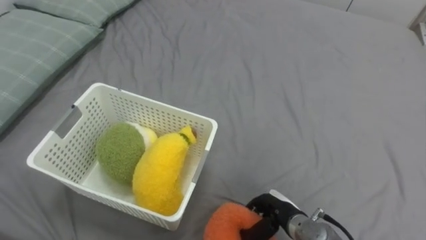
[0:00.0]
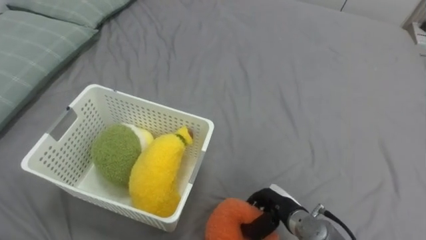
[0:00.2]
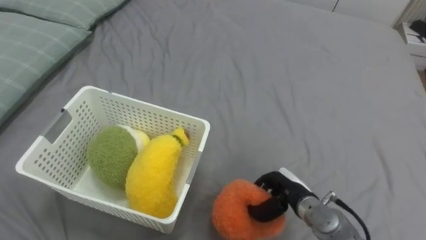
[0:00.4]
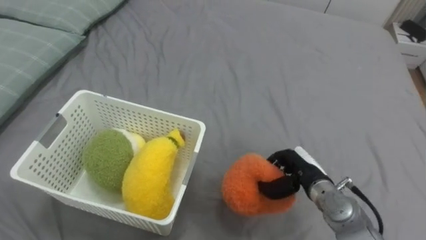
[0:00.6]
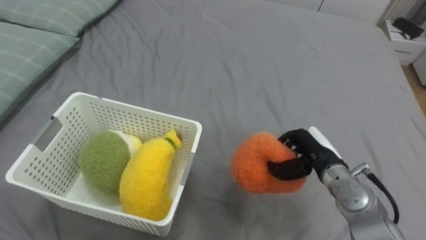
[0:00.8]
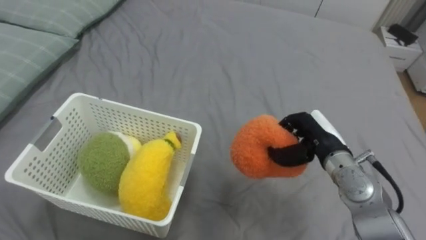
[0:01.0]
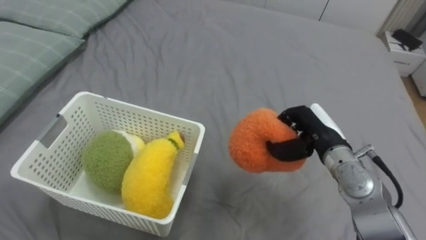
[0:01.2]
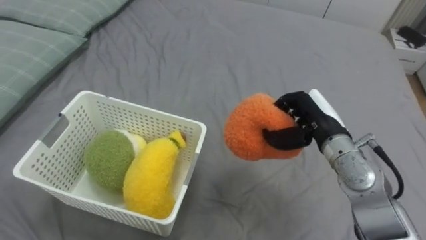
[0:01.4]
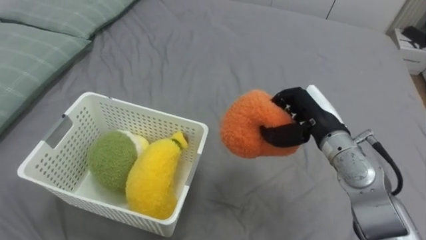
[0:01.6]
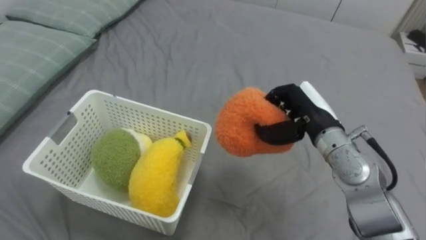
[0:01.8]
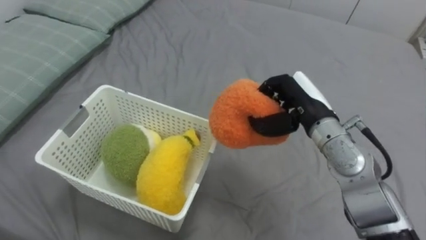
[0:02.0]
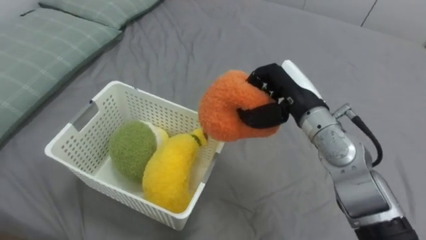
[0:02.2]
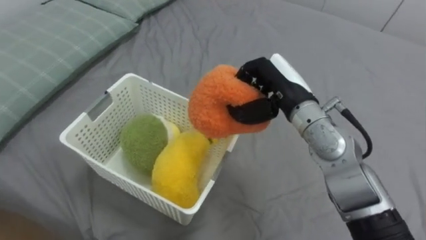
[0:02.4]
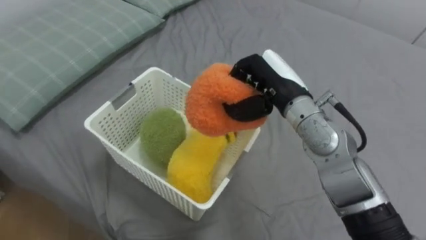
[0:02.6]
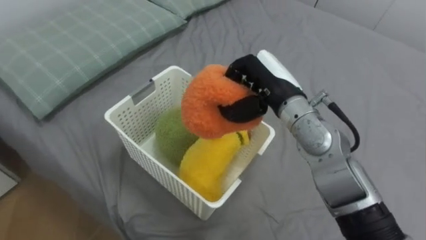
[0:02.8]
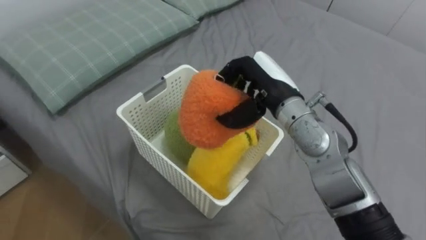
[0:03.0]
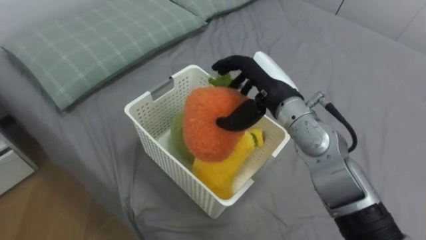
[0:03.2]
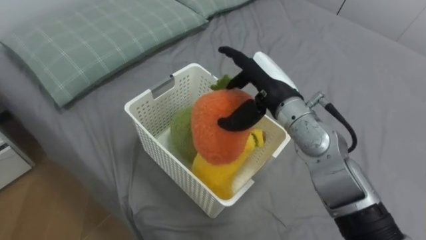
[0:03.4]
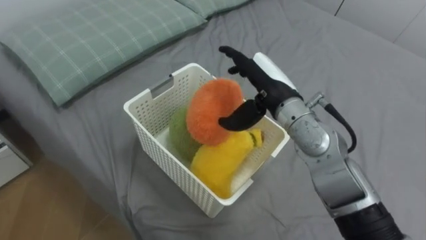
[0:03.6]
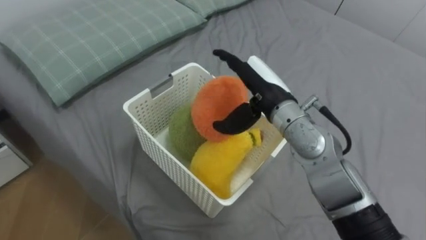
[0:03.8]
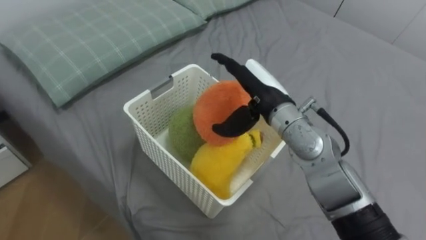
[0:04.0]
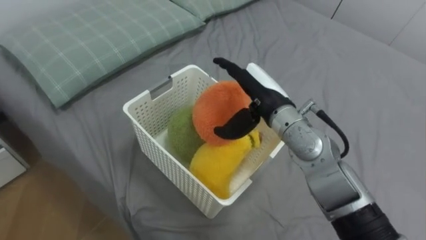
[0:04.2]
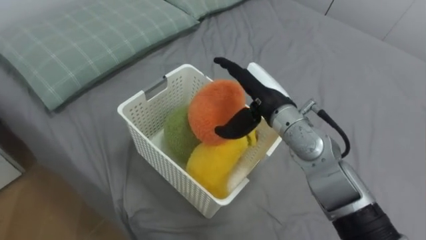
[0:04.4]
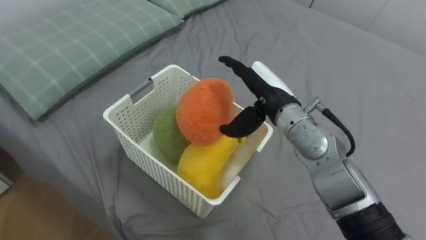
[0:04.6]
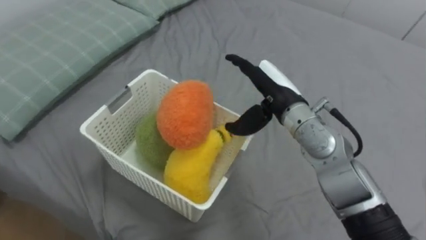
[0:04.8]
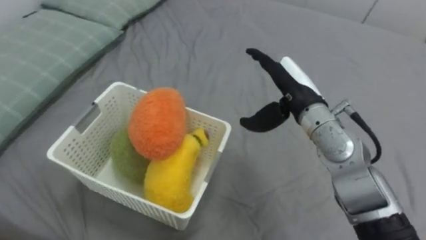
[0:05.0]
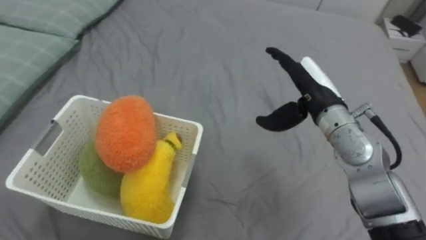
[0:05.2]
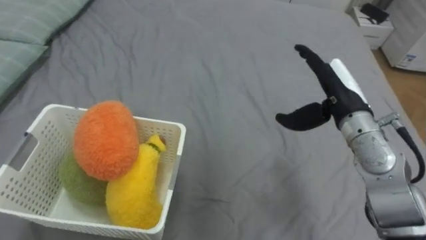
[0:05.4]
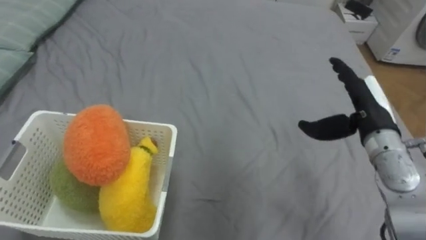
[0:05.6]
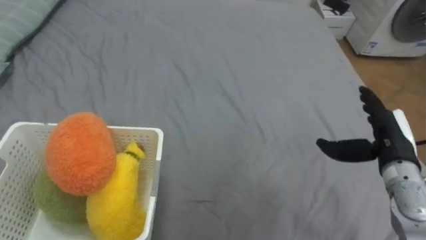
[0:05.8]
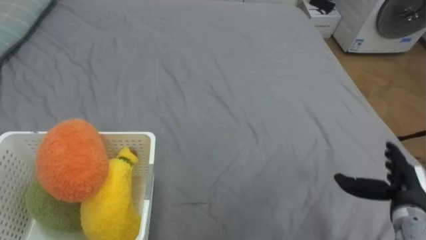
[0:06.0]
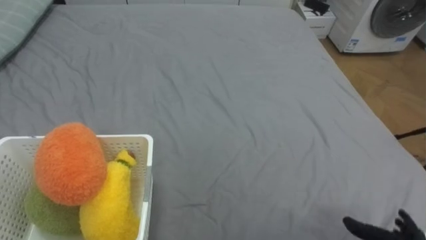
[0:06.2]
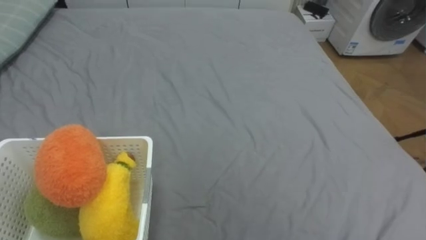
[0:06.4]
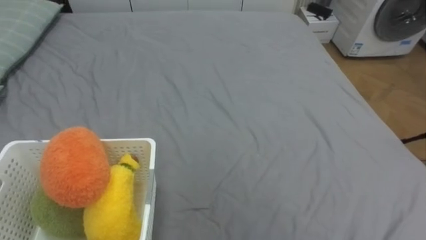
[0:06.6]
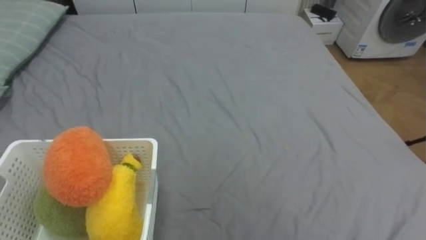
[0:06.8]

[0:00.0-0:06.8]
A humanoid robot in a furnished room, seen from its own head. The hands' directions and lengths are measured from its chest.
Task of the whole recording: Put the toys on the bed into the basket on the left.
0:00.0 to 0:01.4: The right hand heads upward and forward, covering about 20 cm.
0:01.4 to 0:02.8: The right hand travels to the left and upward by roughly 10 cm.
0:02.8 to 0:04.0: The right hand opens its fingers.
0:04.0 to 0:05.4: The right hand shifts some 15 cm to the right.

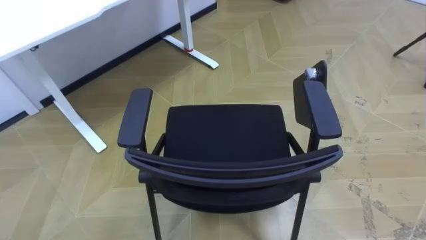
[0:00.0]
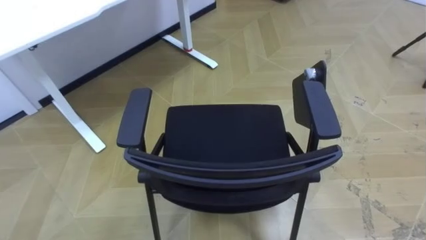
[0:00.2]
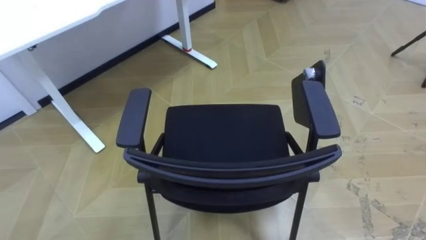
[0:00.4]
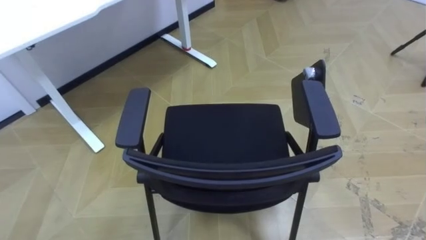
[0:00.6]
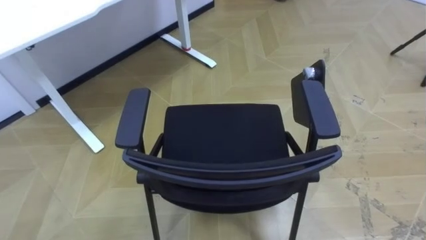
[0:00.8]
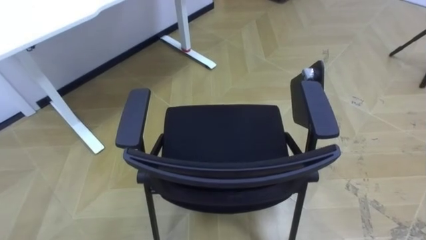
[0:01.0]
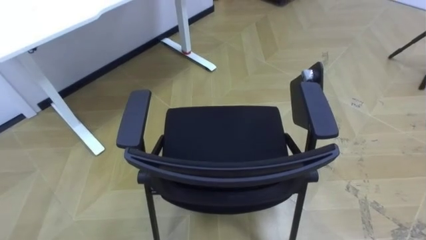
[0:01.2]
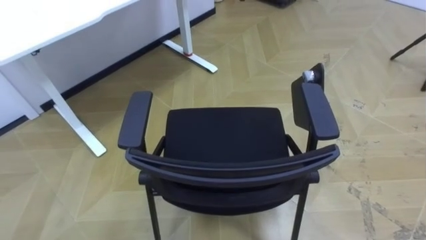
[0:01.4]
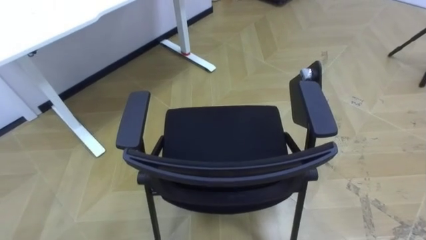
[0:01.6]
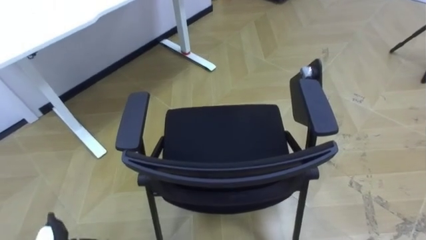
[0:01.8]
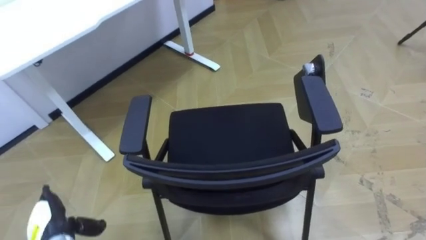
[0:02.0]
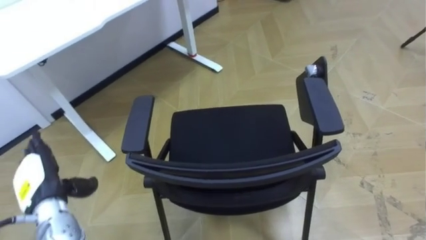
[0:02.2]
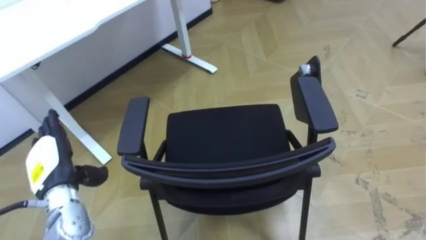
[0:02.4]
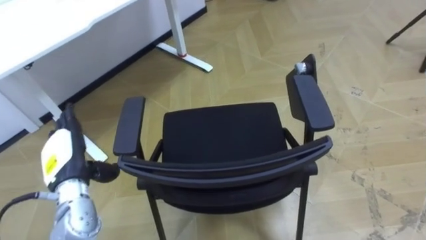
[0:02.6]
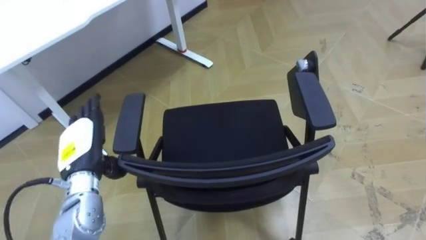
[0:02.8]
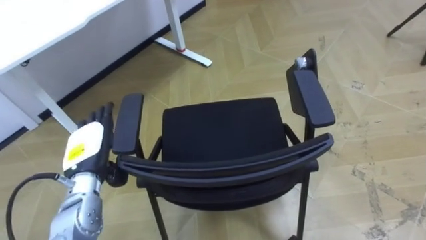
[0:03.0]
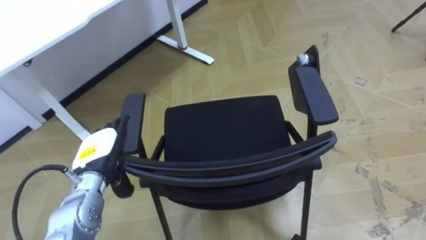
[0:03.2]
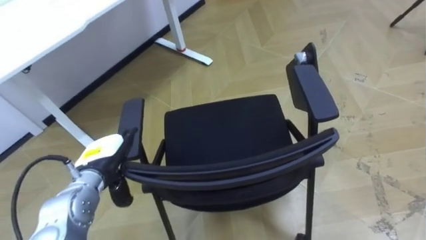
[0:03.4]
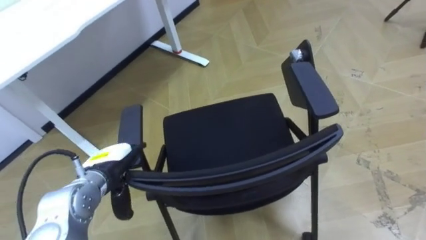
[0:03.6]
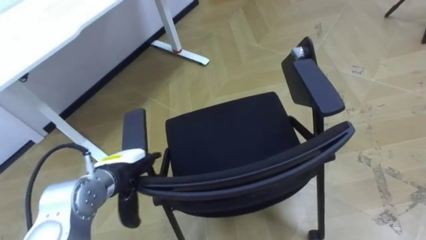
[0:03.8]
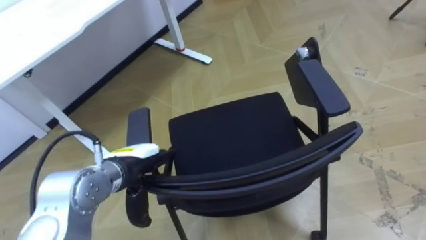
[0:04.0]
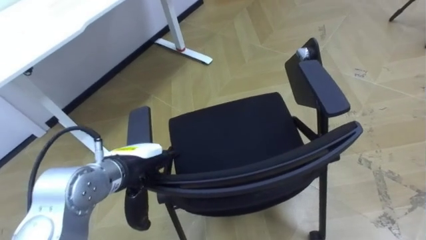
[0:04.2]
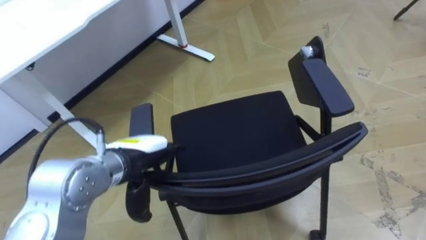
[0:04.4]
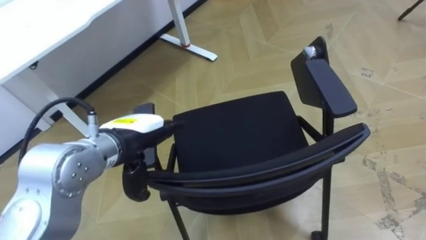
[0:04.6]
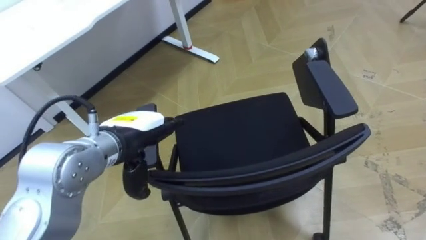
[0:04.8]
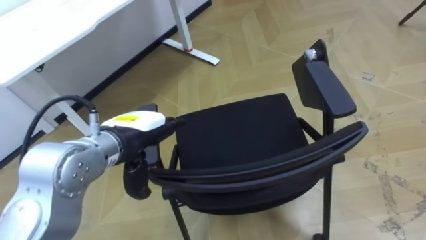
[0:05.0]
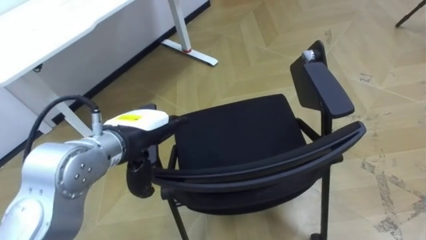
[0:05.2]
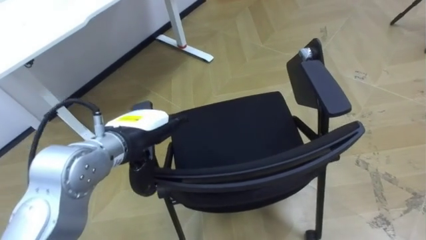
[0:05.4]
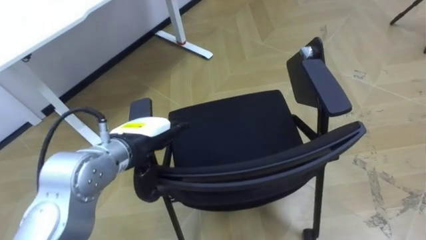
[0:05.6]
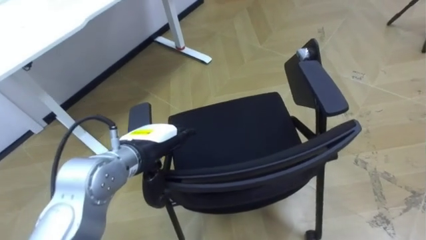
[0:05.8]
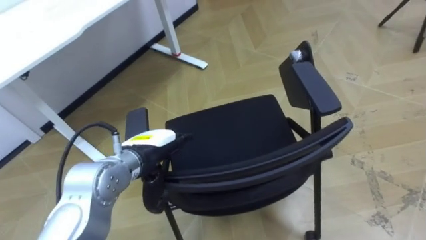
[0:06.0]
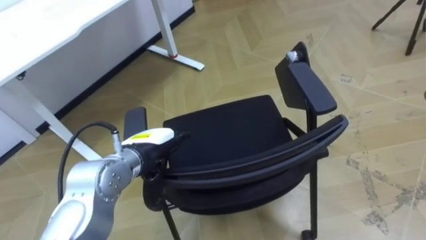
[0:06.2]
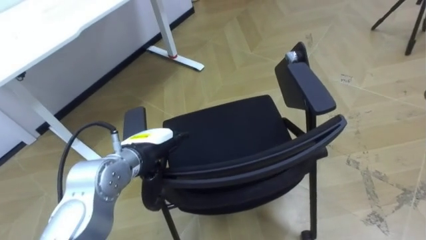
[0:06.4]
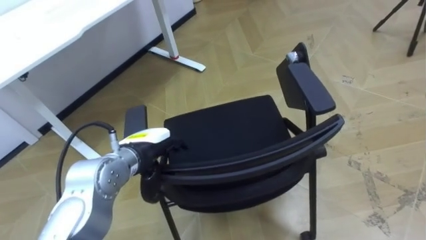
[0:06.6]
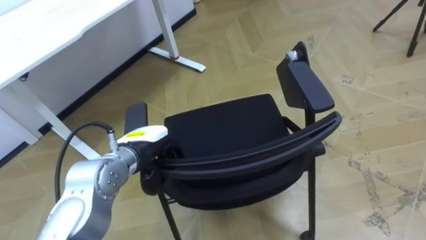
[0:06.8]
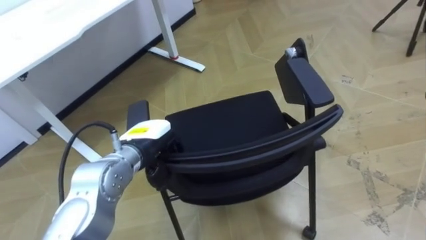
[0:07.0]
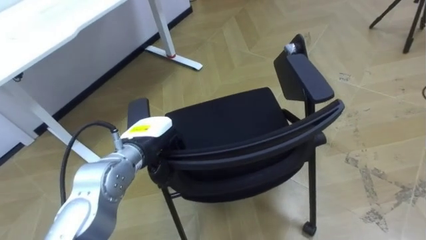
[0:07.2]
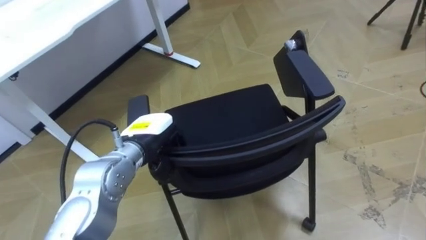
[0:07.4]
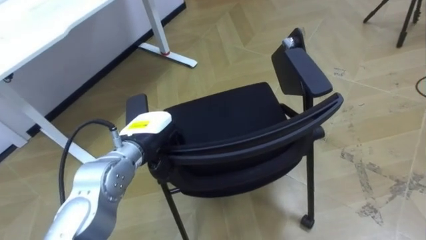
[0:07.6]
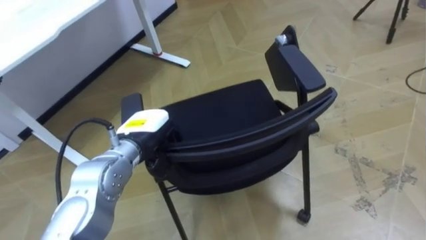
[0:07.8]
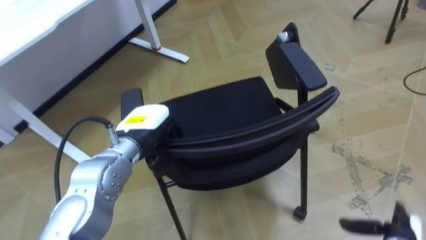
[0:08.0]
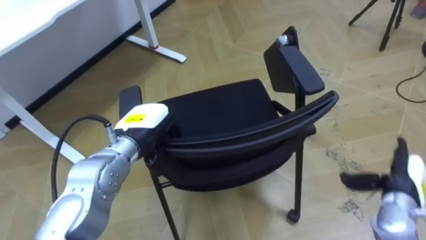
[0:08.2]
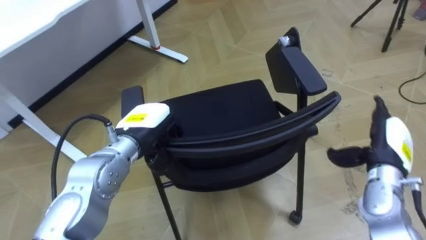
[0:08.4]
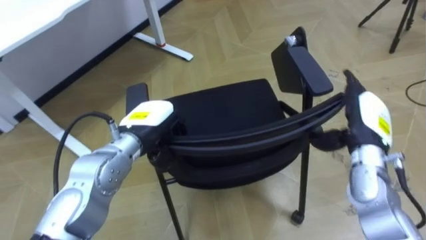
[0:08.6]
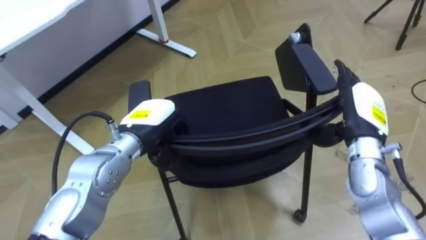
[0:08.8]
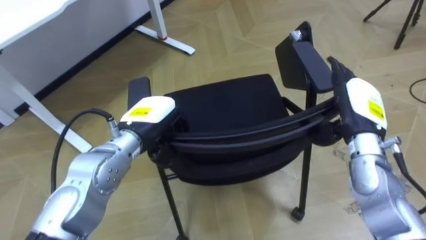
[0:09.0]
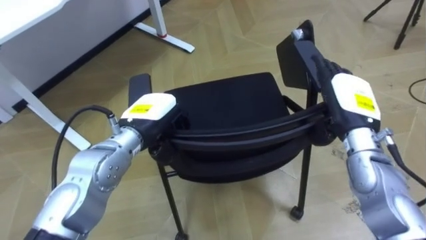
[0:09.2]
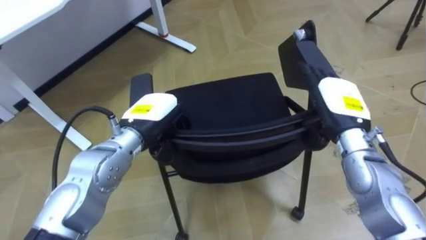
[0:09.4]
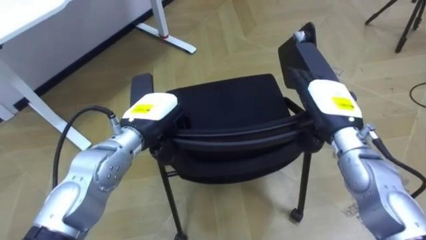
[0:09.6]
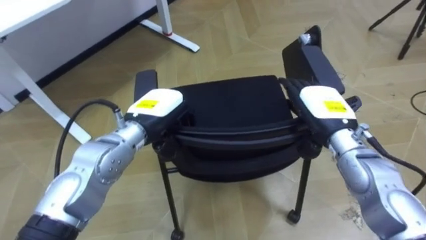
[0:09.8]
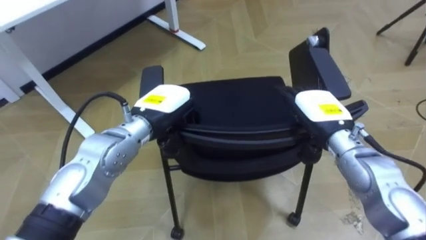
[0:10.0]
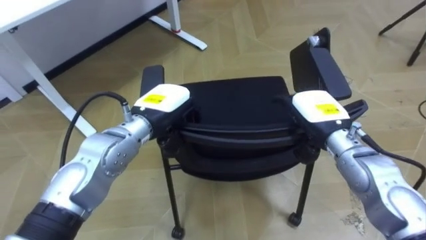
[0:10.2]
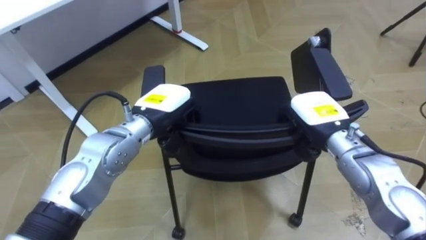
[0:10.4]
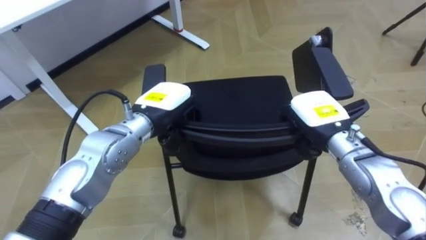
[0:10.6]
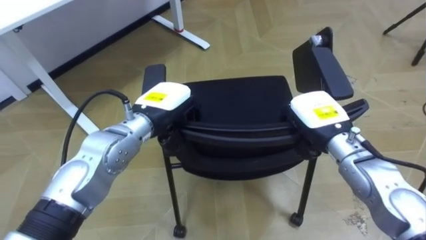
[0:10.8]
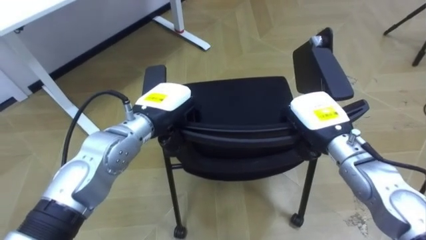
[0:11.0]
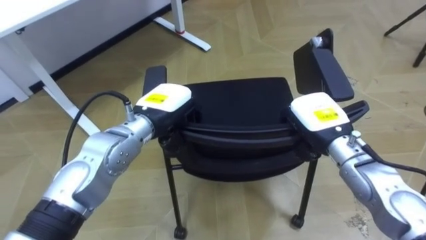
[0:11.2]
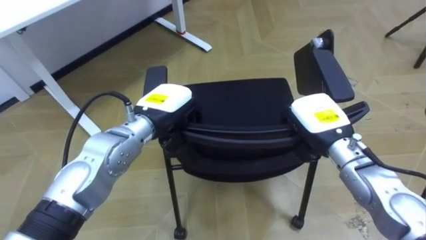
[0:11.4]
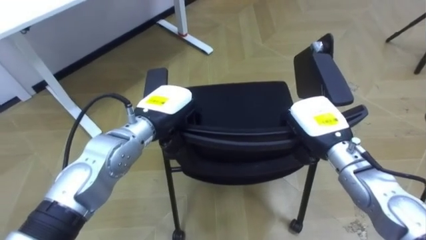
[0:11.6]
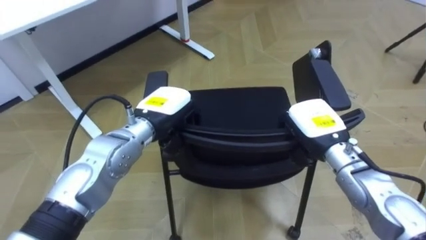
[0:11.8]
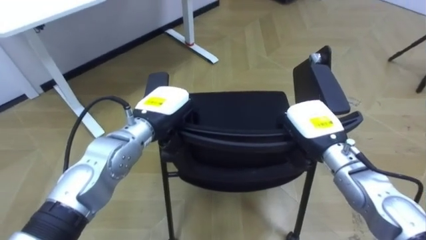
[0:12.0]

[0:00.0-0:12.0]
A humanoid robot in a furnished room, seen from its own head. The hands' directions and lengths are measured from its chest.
Task of the whole recording: Push the chair under the table.
0:03.0 to 0:04.4: The left hand travels to the right and upward by approximately 10 cm.
0:06.0 to 0:07.6: The left hand closes up.
0:09.0 to 0:10.4: The right hand moves to the left, some 5 cm, and closes up.
